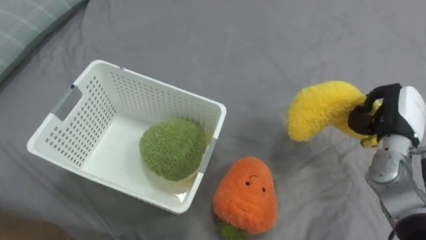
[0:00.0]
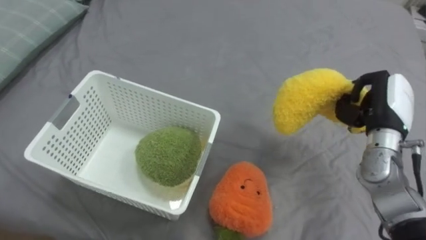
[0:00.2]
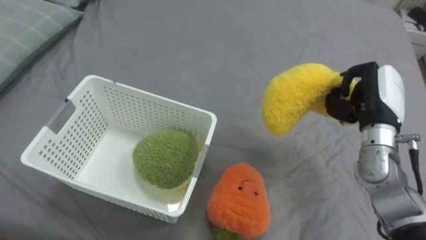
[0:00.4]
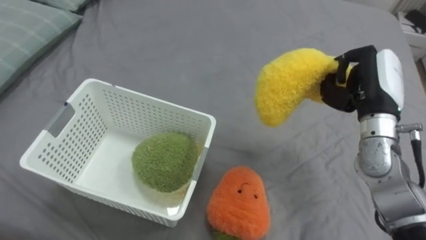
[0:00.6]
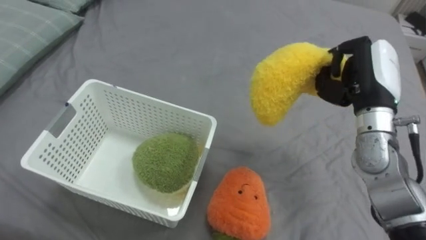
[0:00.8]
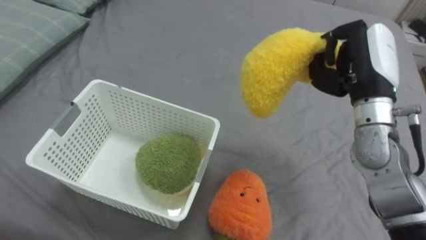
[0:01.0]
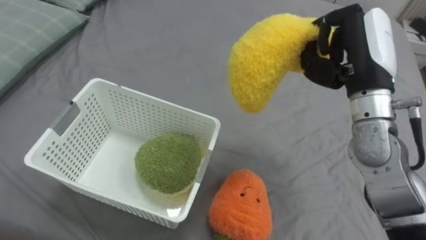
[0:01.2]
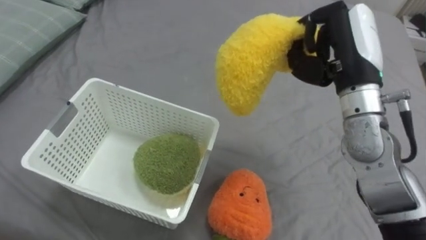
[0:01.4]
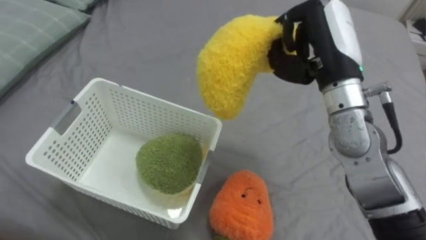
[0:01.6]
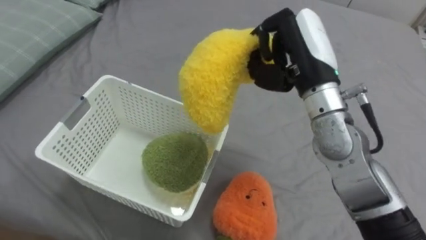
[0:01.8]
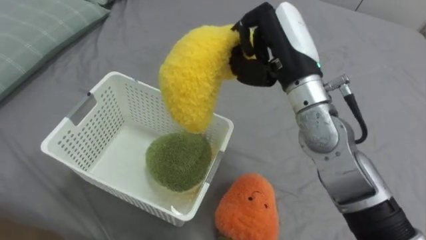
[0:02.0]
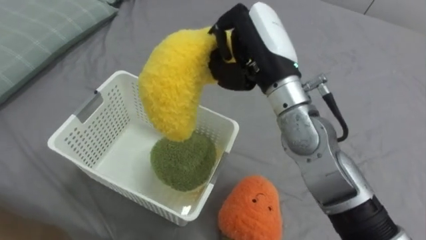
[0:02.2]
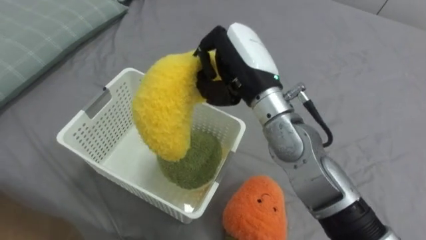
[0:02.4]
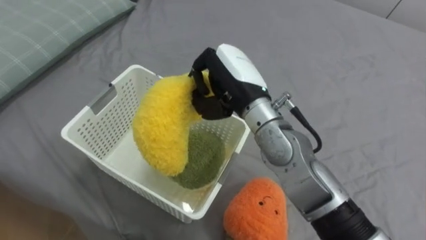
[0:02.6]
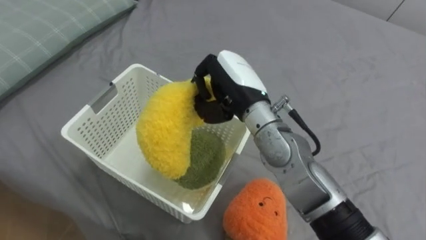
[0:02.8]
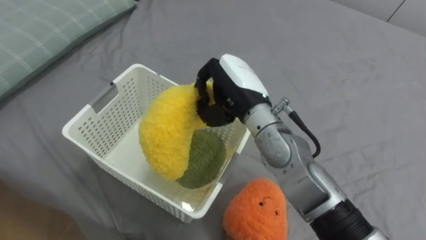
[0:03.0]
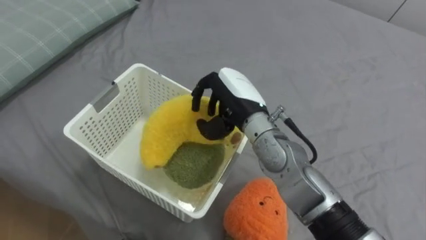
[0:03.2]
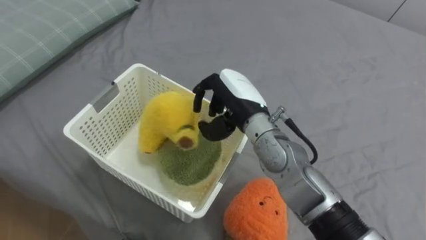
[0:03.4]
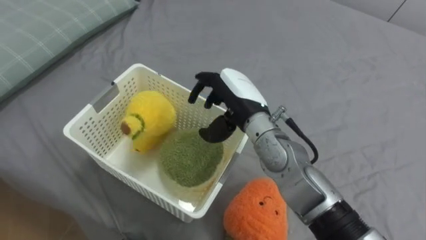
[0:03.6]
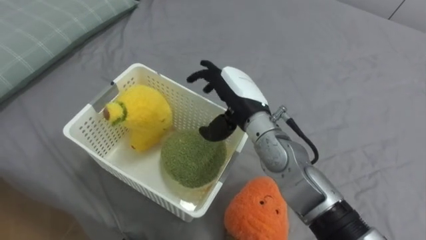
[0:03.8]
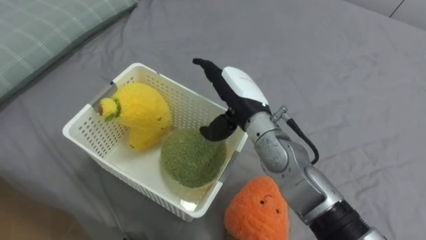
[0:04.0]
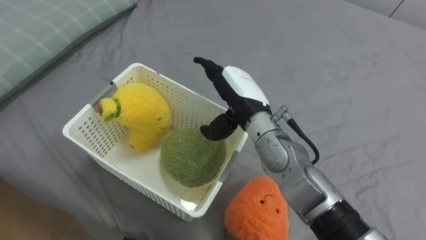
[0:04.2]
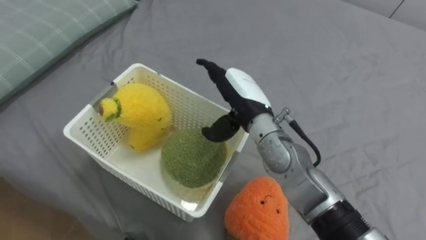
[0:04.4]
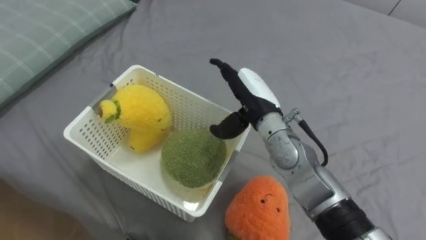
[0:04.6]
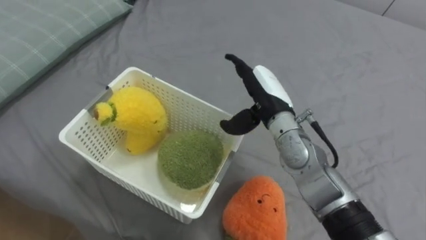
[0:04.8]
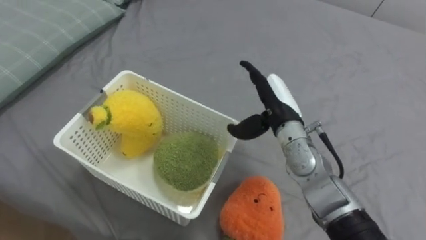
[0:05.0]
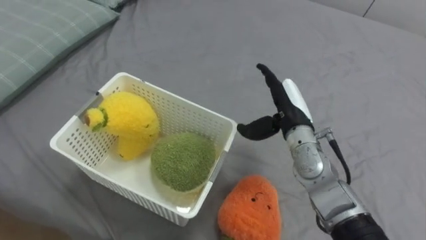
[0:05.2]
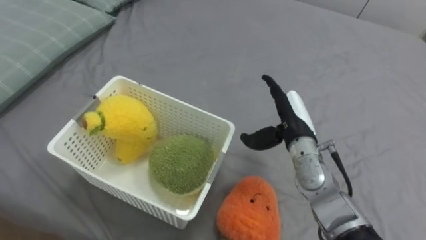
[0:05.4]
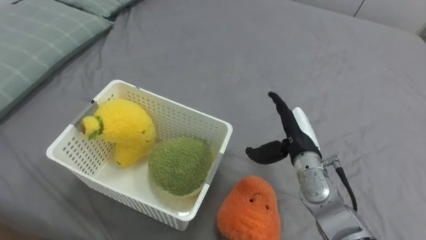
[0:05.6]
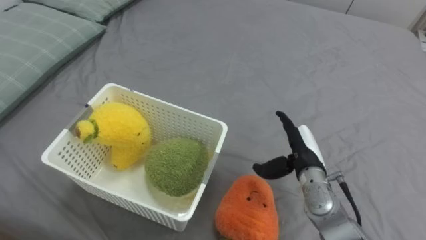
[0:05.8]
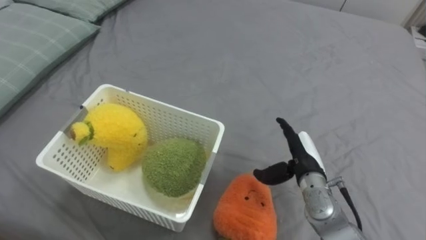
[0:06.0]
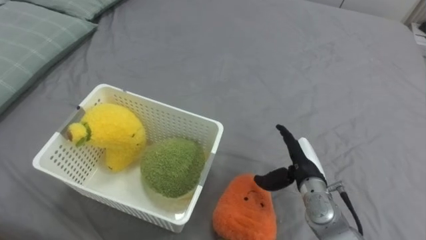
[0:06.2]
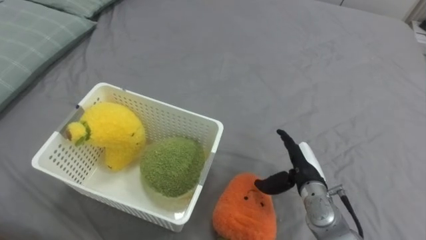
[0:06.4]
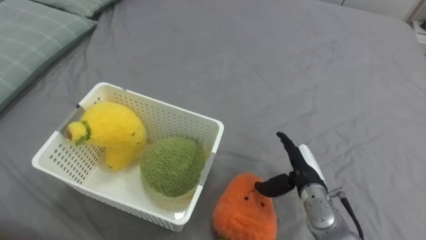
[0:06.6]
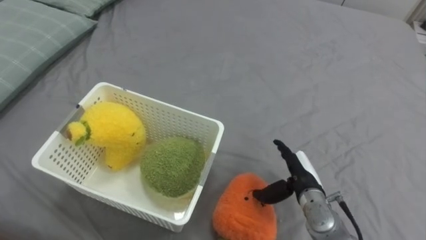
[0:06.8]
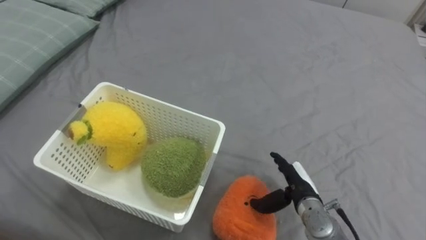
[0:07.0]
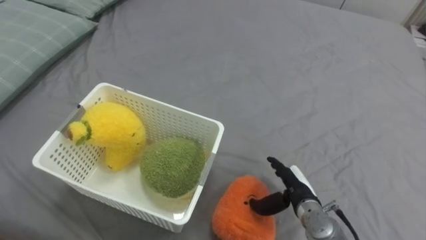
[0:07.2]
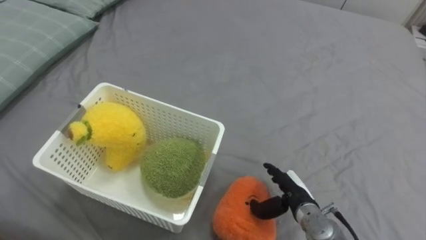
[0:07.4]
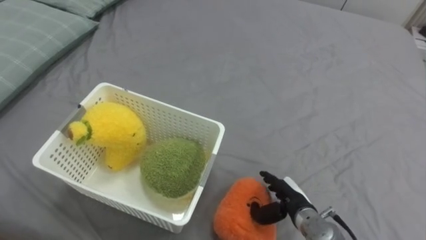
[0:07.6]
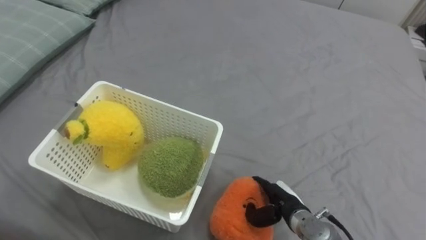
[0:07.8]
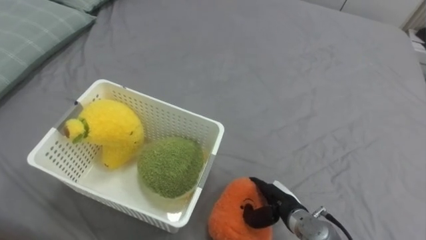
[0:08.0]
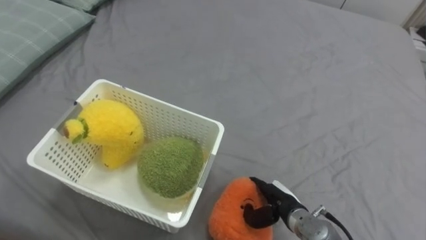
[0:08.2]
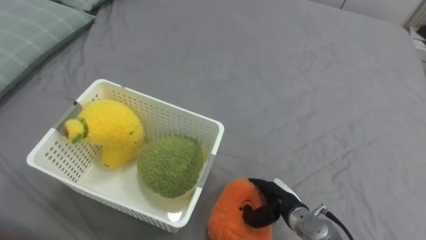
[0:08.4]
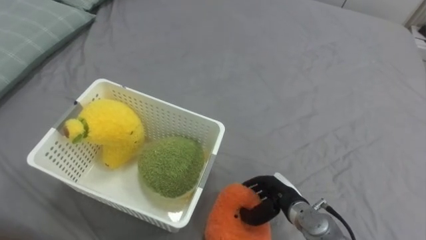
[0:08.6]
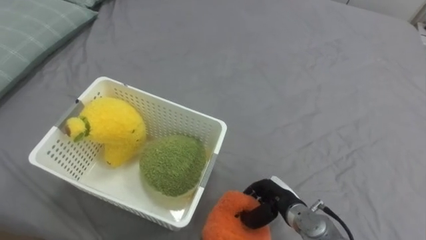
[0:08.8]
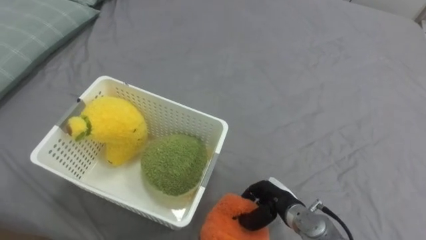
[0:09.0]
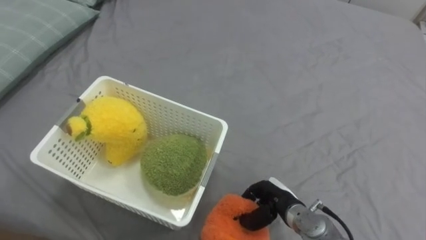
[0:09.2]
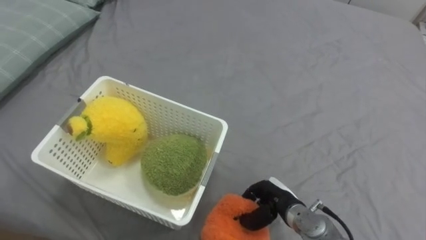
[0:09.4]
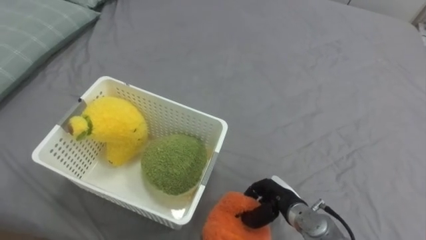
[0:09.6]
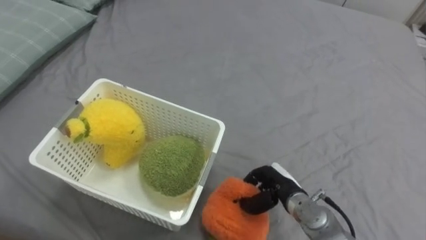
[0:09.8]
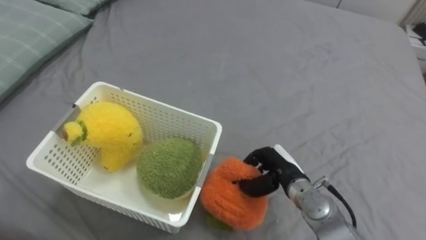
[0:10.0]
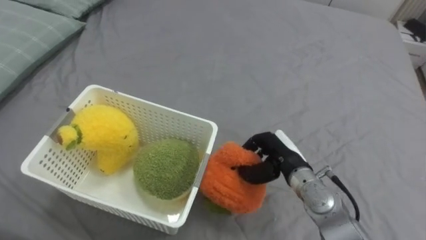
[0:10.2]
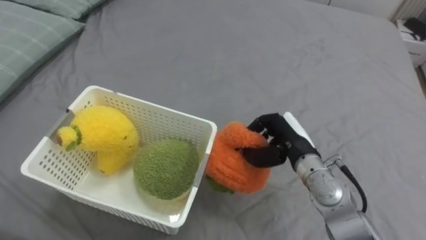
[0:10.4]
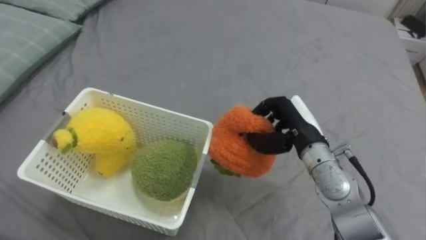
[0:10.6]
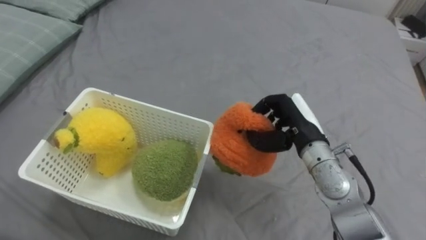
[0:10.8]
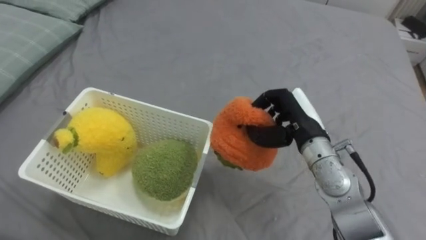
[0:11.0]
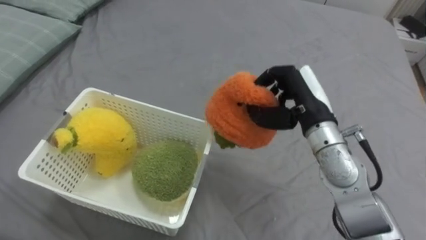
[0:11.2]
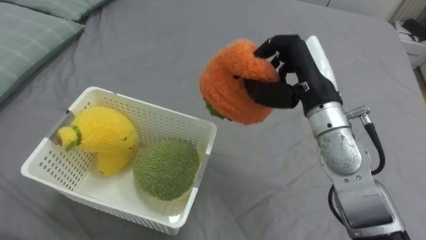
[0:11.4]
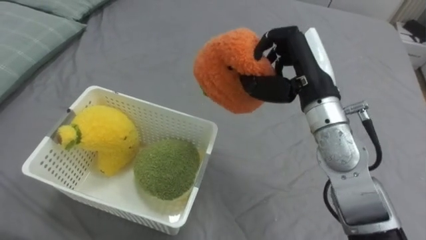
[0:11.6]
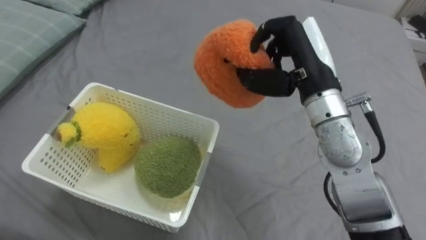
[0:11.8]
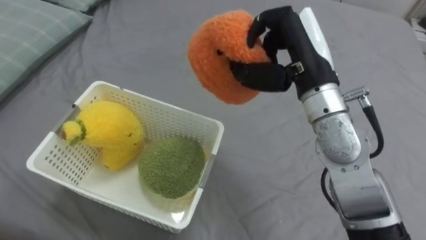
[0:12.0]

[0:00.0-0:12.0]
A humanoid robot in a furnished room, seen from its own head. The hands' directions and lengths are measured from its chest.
Task of the whole recording: Put the toys on the bed into the basket on the left.
0:00.0 to 0:01.6: The right hand travels to the left and upward by roughly 25 cm.
0:01.6 to 0:03.0: The right hand is displaced to the left and downward by roughly 15 cm.
0:03.0 to 0:04.4: The right hand opens its fingers.
0:04.4 to 0:06.0: The right hand shifts roughly 20 cm to the right and downward.
0:06.0 to 0:07.6: The right hand travels downward and backward by approximately 10 cm.
0:07.6 to 0:09.0: The right hand closes up.
0:09.0 to 0:10.4: The right hand moves upward and forward, approximately 15 cm.
0:10.4 to 0:12.0: The right hand travels upward by approximately 20 cm.

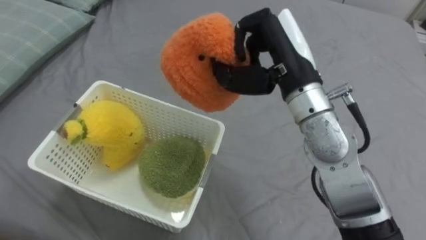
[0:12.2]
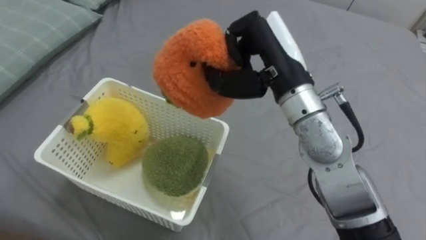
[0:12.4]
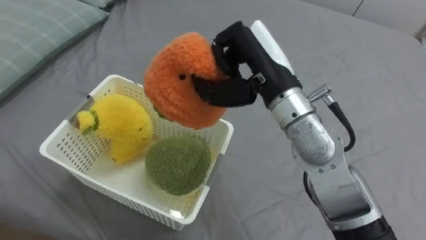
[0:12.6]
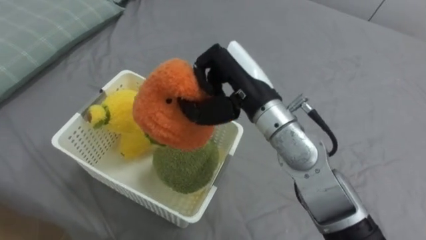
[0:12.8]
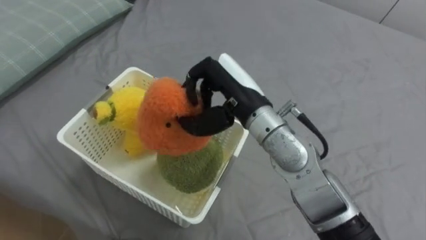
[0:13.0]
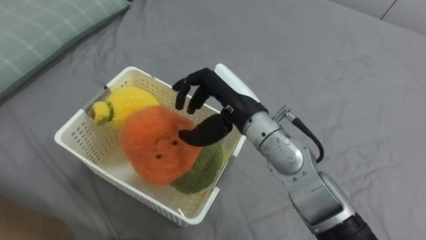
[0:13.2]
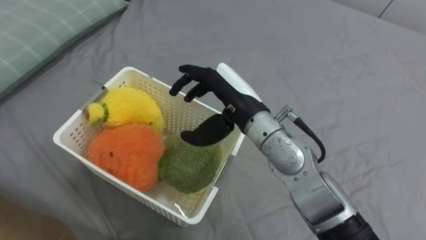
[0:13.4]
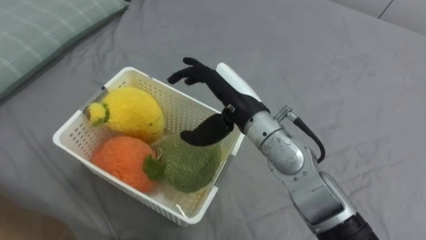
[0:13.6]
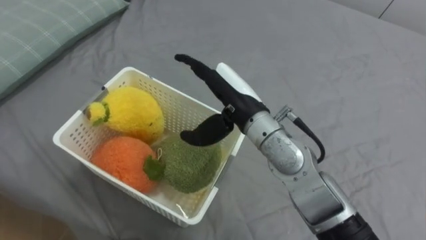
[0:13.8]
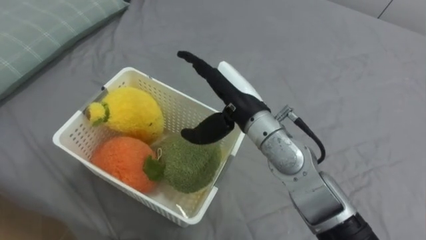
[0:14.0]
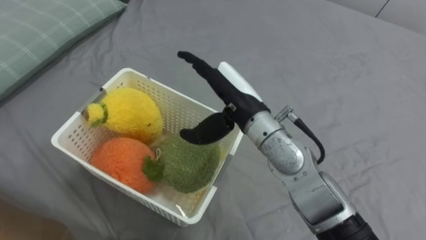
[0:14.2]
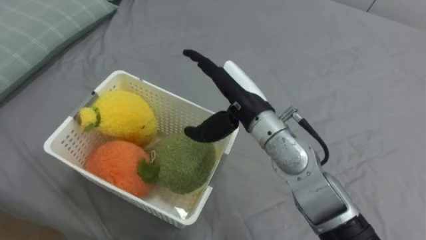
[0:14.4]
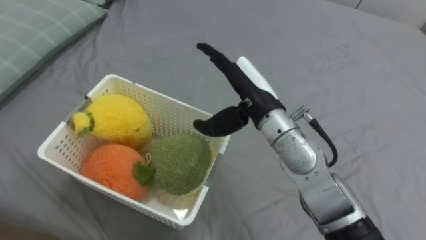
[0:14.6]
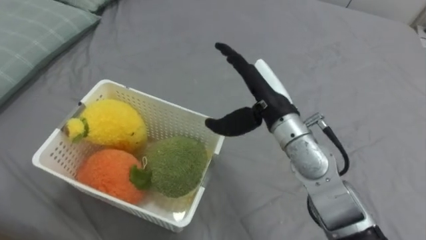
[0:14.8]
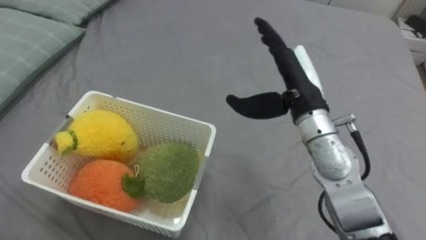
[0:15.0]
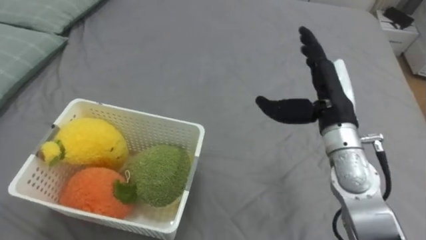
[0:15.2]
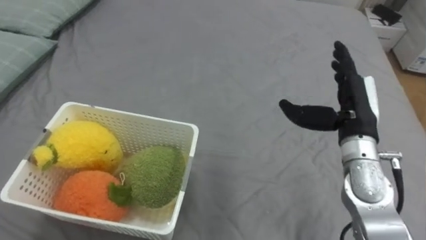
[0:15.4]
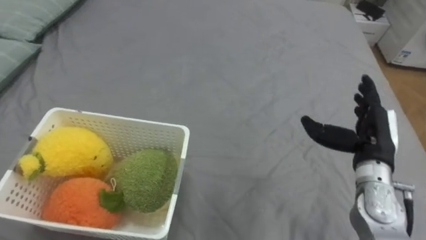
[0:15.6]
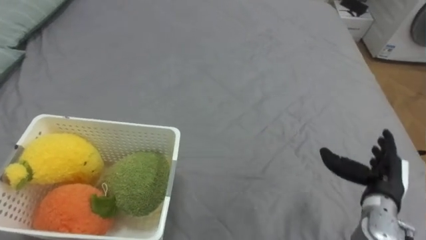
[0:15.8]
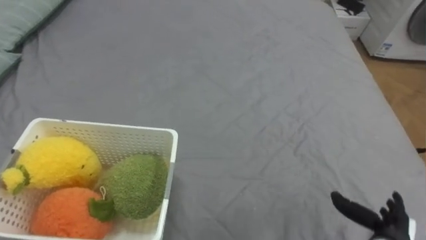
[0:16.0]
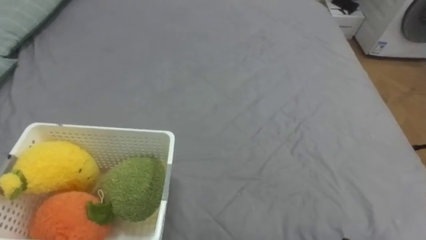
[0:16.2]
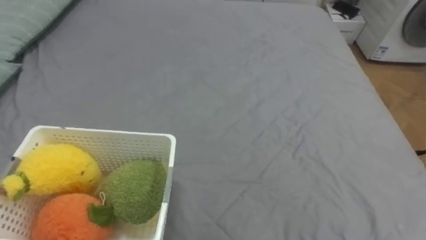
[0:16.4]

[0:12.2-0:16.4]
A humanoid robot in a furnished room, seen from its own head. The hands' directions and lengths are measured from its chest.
Task of the whole recording: Put the toys on the bed into the basket on the left.
0:12.2 to 0:13.6: The right hand travels downward and to the left by roughly 10 cm, and opens its fingers.
0:13.6 to 0:15.0: The right hand is displaced to the right by some 10 cm.
